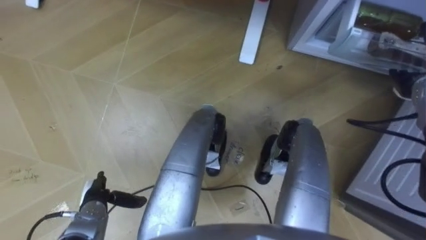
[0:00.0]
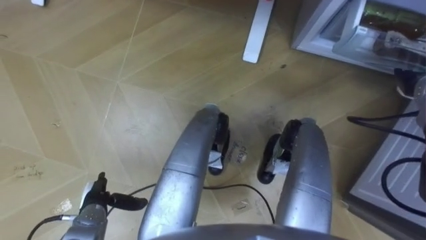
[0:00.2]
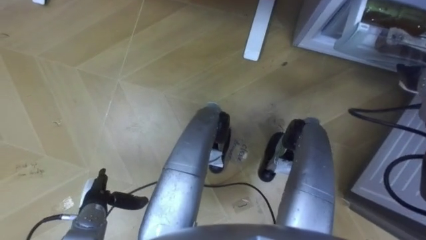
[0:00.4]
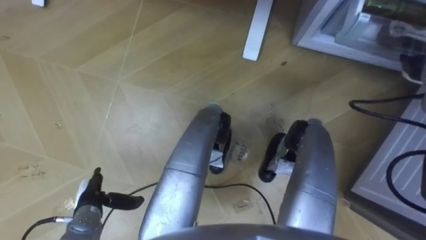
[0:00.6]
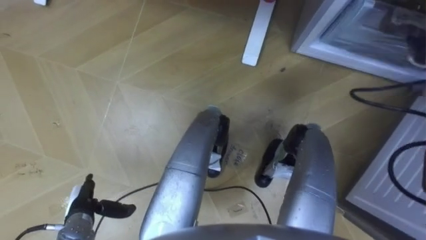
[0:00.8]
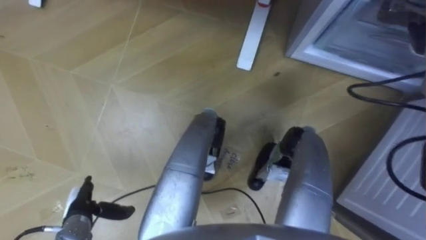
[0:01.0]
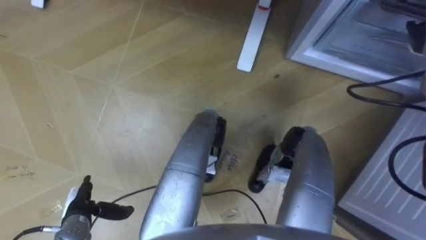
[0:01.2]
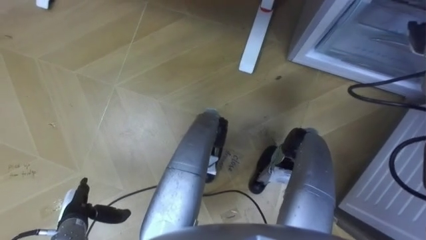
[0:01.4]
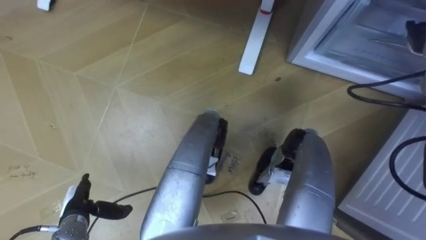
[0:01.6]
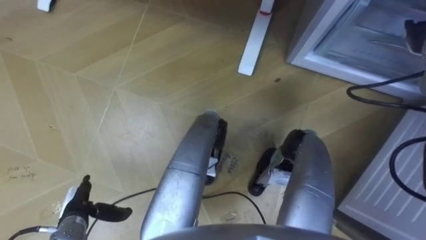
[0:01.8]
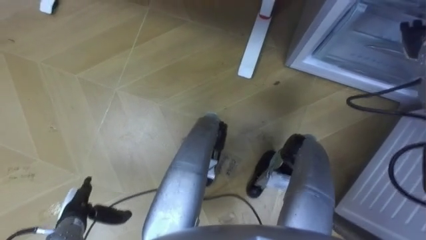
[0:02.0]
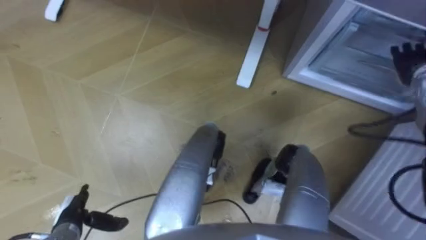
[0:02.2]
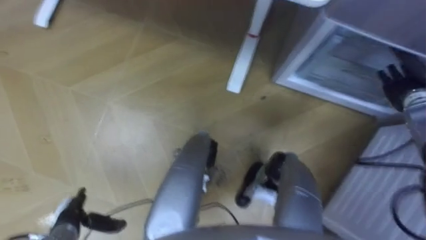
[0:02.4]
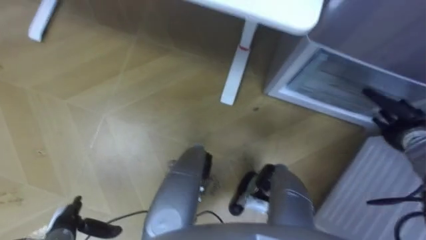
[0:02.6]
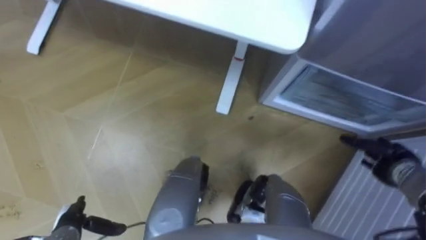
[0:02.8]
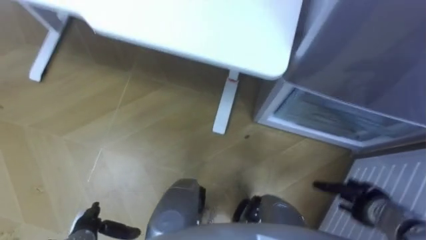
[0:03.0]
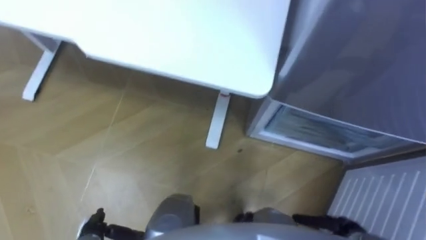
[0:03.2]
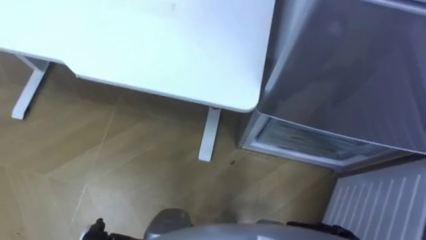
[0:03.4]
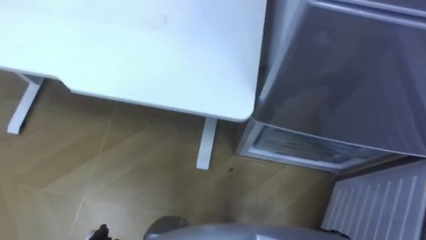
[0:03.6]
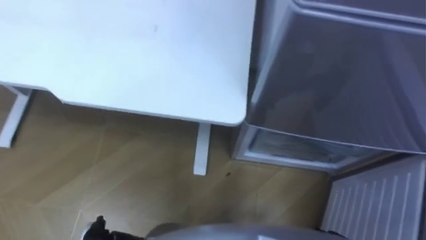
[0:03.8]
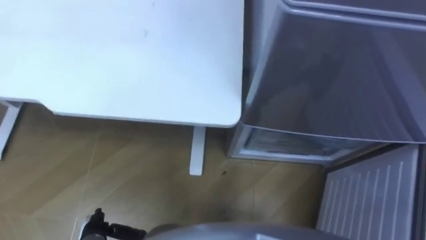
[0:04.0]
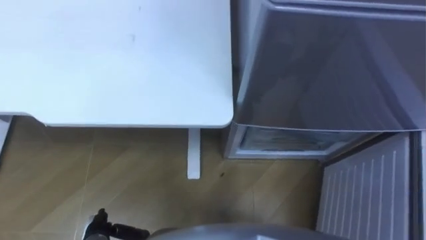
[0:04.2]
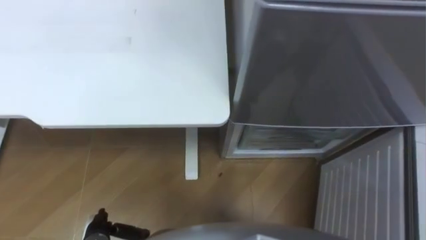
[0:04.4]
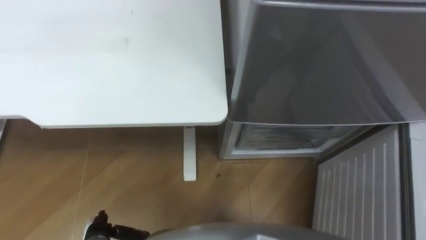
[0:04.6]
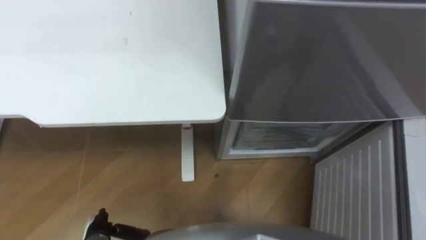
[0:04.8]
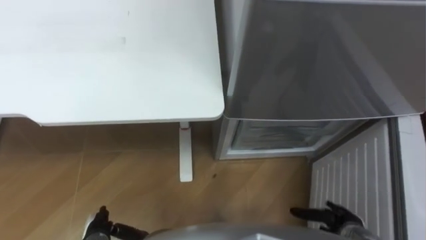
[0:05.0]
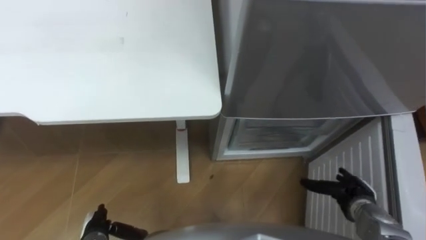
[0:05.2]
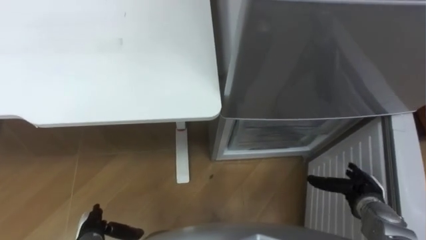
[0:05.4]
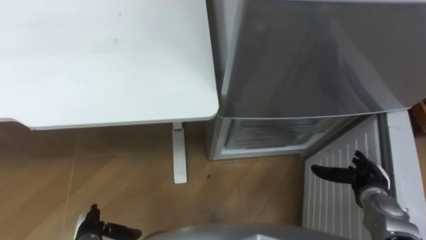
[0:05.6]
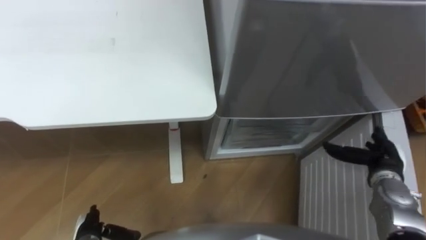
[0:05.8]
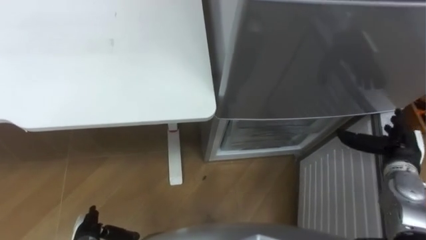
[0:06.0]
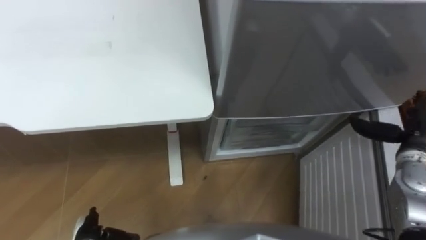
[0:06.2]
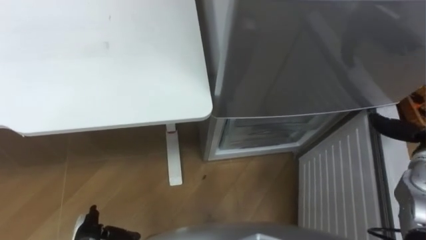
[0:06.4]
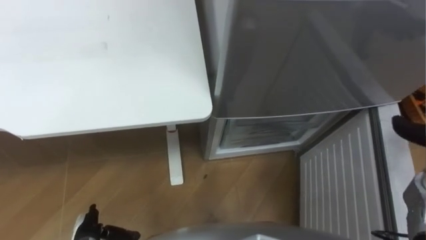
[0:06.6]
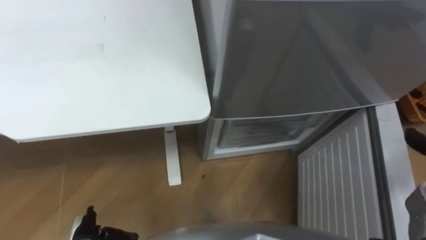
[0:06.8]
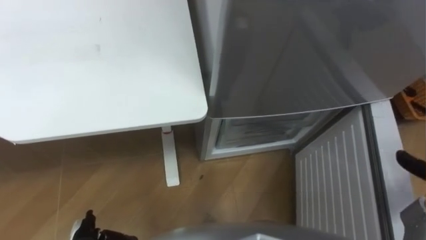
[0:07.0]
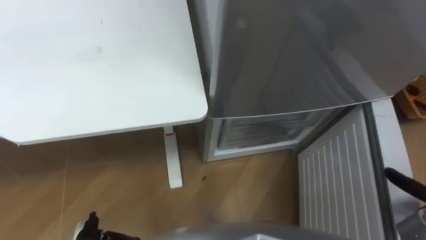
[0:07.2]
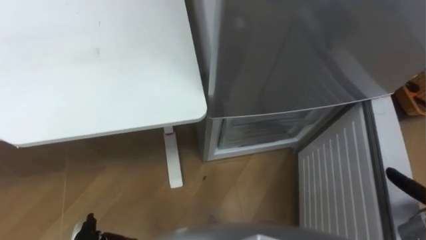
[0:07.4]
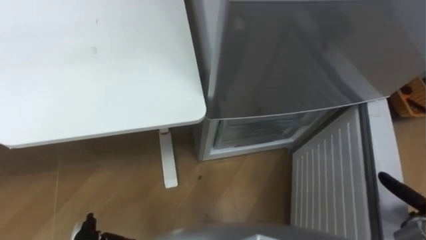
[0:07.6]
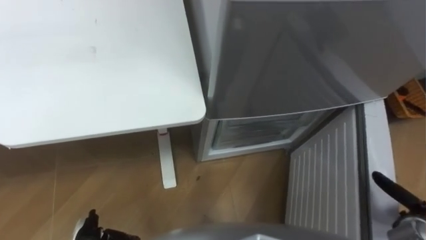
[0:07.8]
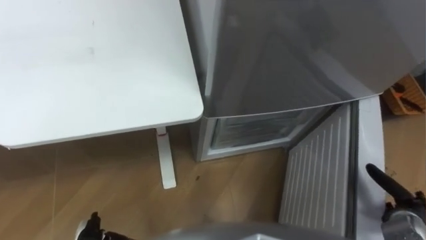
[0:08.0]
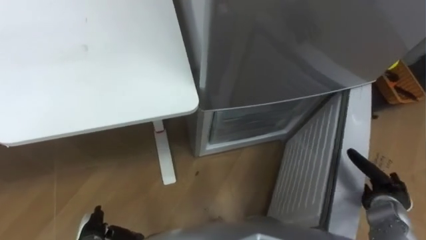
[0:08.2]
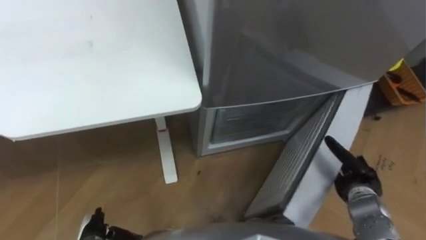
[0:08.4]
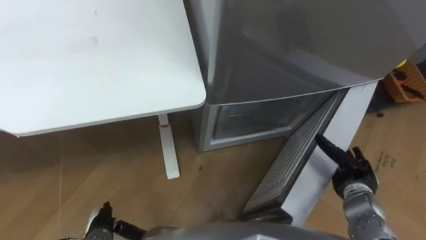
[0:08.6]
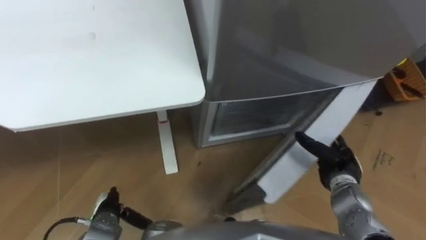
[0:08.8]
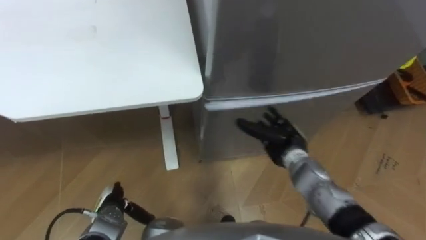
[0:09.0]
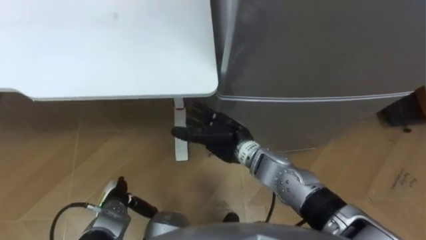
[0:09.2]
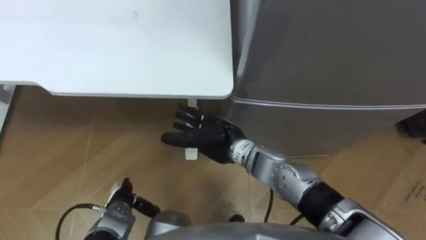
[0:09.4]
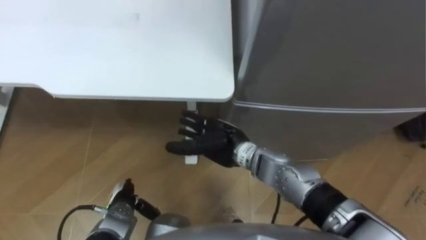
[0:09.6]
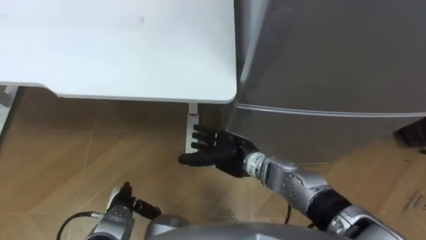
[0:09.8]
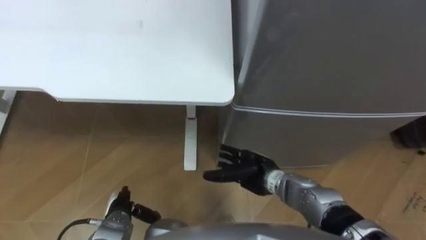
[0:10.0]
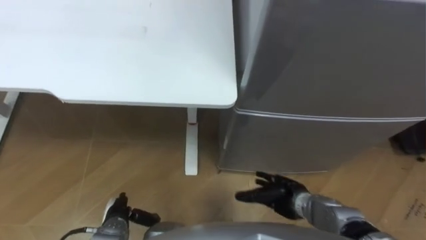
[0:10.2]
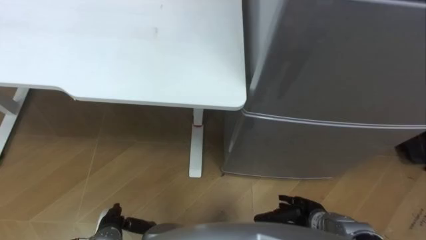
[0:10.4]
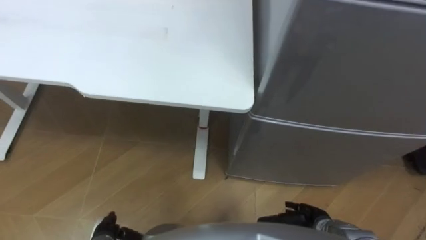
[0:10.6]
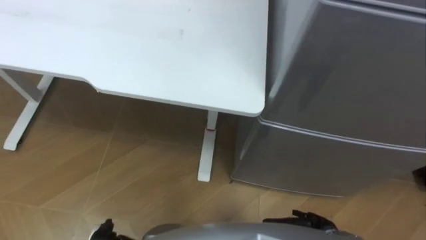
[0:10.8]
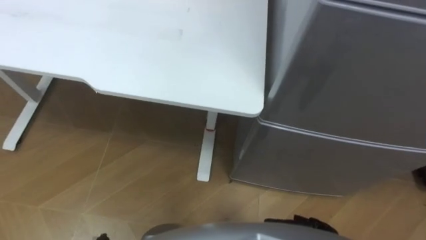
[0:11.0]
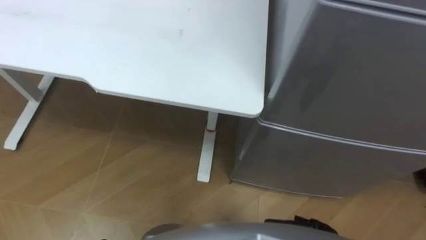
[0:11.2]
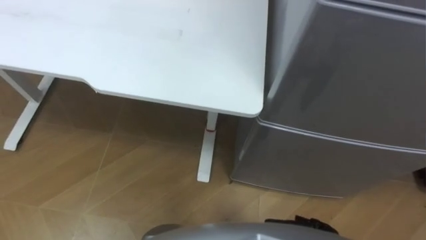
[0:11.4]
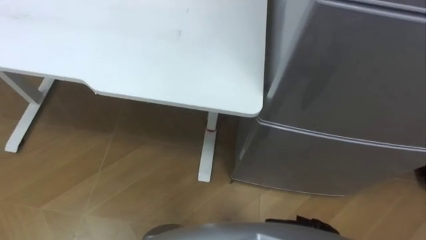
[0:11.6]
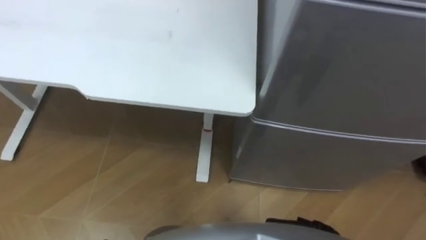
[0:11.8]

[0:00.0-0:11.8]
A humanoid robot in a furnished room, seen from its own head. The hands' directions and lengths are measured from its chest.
Task of the whole recording: Place the drink on the table on the bottom shelf of the refrigerator, then close the drawer and the refrigerator door.
0:07.4 to 0:08.8: The right hand is displaced to the left and forward by about 15 cm.
0:08.8 to 0:10.4: The right hand shifts roughly 10 cm backward and downward, and reaches approximately 30 cm to the left, then returns.

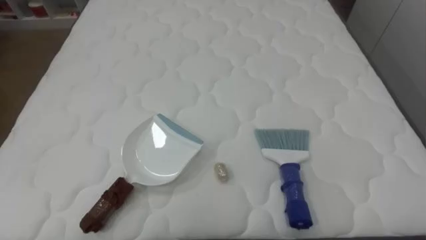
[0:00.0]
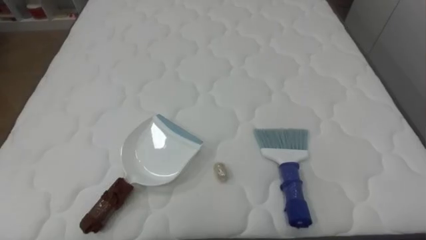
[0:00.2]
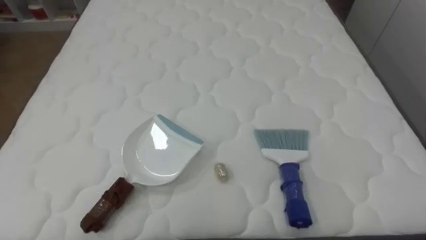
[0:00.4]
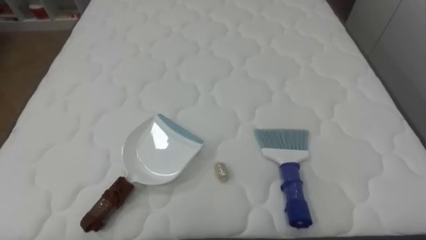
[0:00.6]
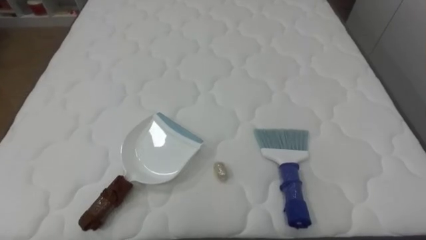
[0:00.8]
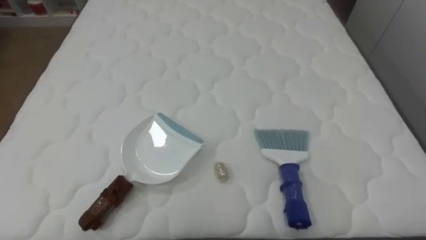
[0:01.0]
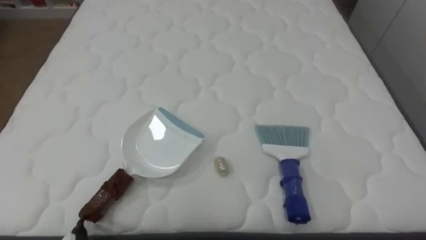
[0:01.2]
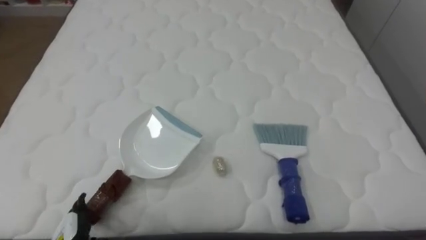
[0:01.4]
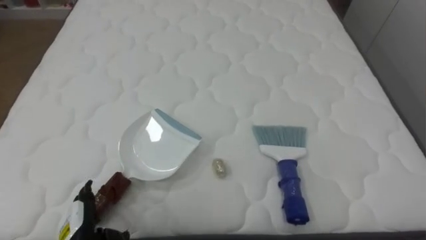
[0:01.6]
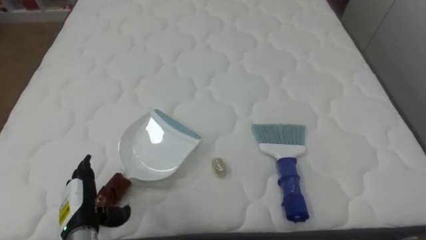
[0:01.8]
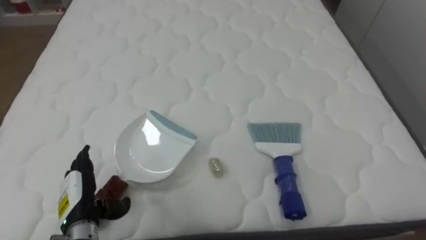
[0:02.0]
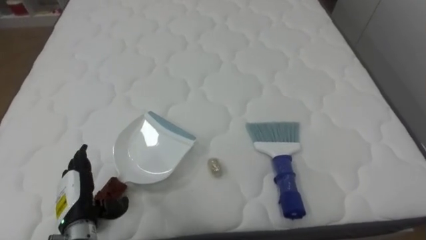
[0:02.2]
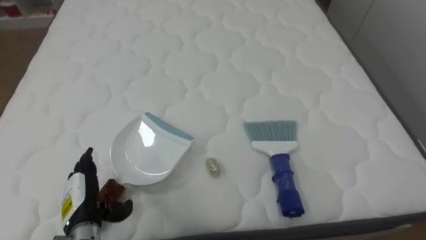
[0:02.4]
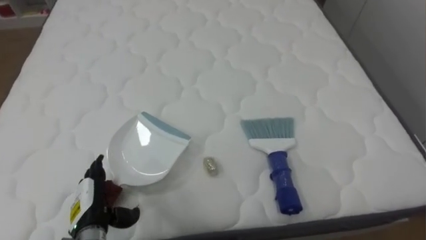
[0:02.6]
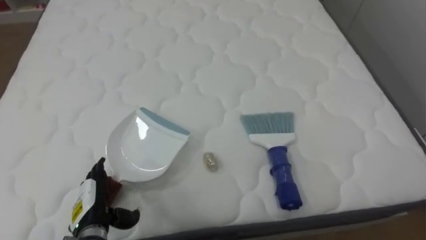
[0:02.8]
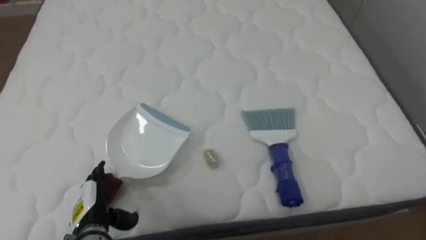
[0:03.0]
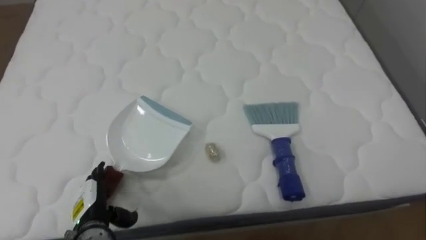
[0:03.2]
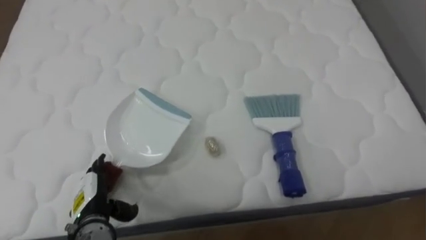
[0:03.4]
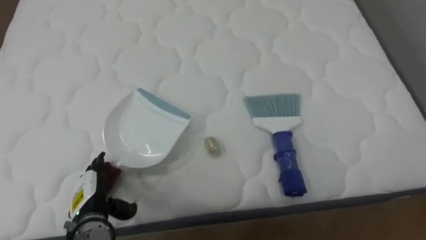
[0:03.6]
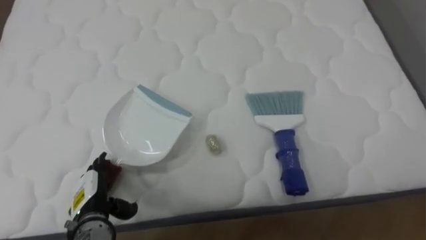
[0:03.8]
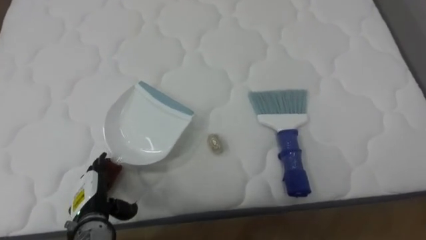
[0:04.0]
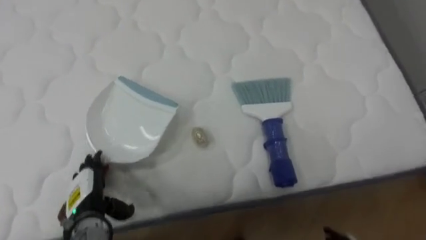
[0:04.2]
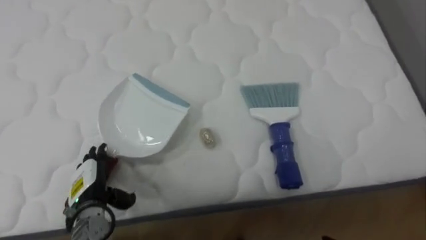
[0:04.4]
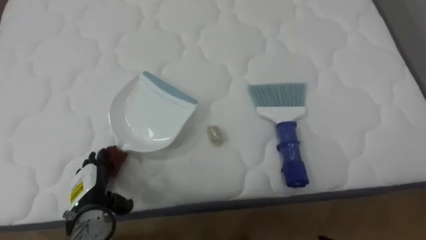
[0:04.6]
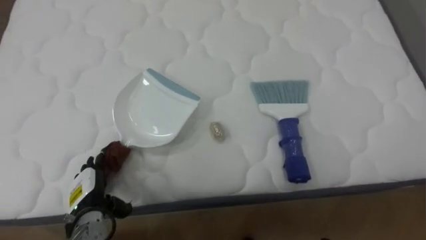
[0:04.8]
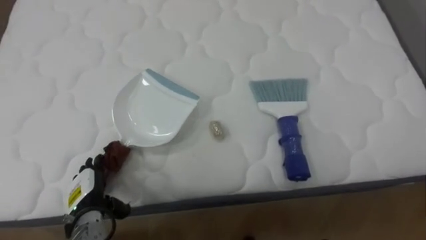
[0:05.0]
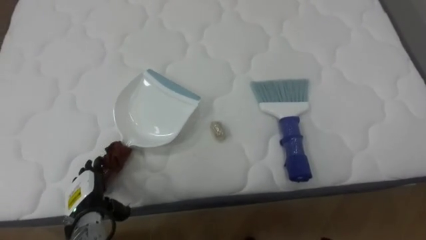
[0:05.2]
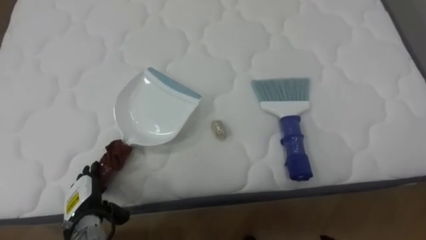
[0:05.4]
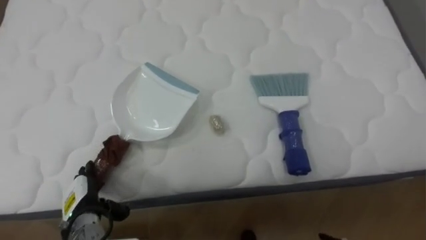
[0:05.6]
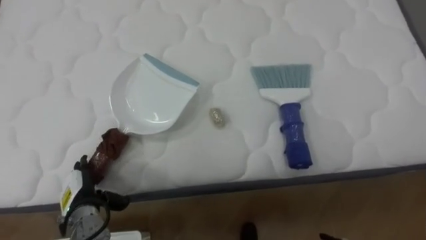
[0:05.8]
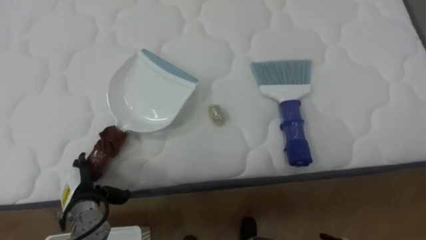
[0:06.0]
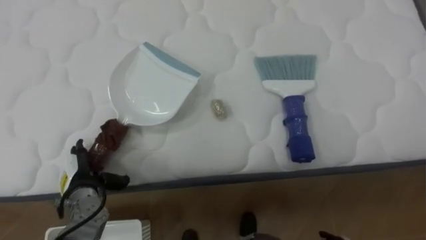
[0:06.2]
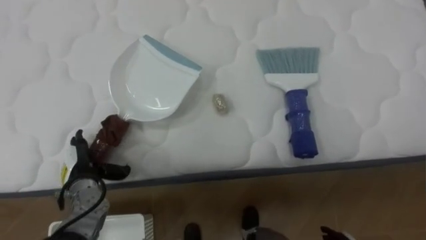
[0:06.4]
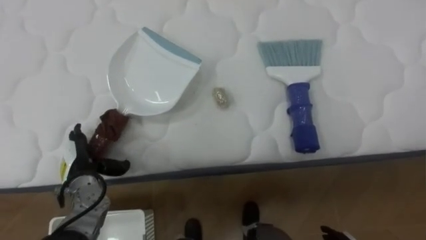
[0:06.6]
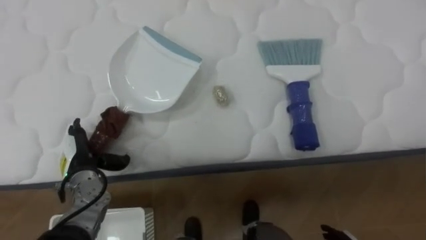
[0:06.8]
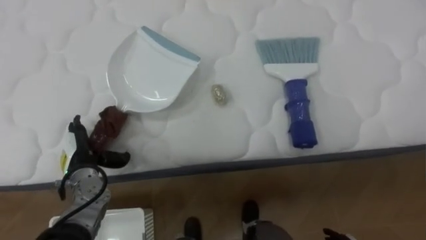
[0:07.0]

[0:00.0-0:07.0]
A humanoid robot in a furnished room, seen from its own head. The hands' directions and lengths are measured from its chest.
Task of the whole recording: Pick up the brush on your right and the dustpan on your left. Use the brush to sweep the crumpled paper on the bed into the dustpan, then turn left and empty it into the basket.
0:05.6 to 0:07.0: The left hand goes about 10 cm forward and upward.
